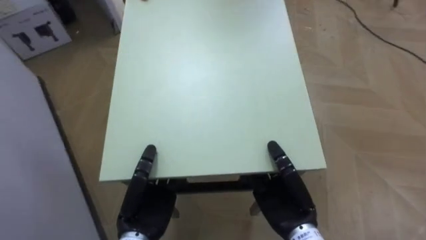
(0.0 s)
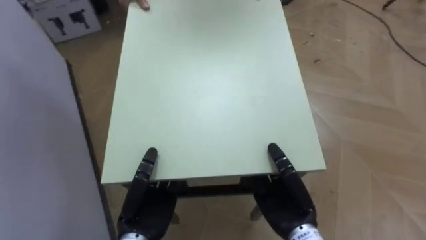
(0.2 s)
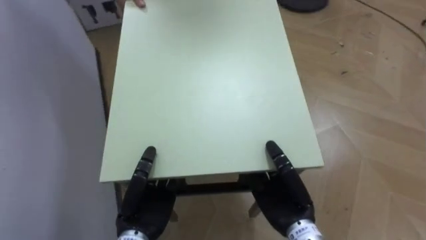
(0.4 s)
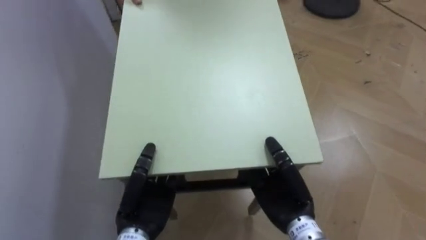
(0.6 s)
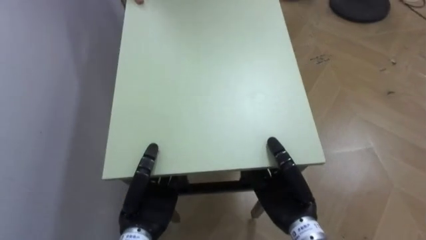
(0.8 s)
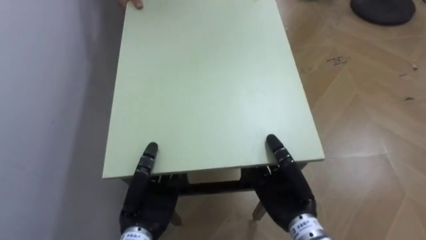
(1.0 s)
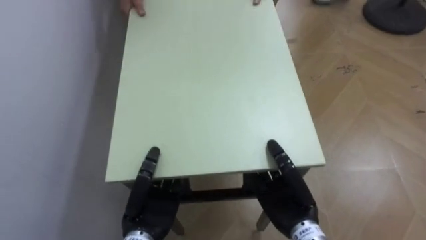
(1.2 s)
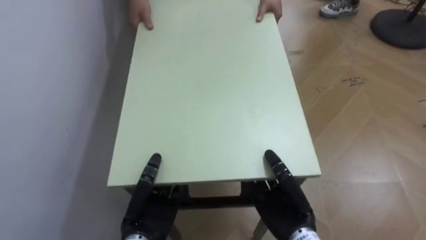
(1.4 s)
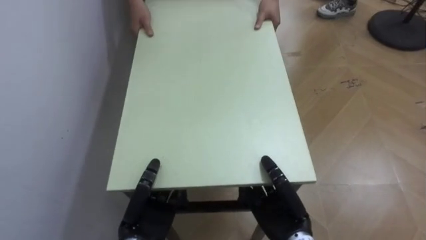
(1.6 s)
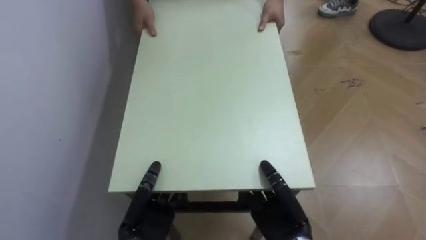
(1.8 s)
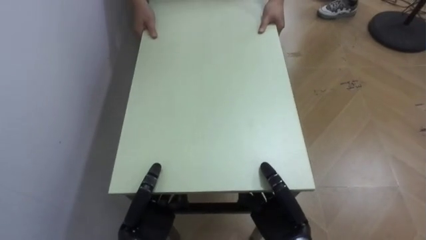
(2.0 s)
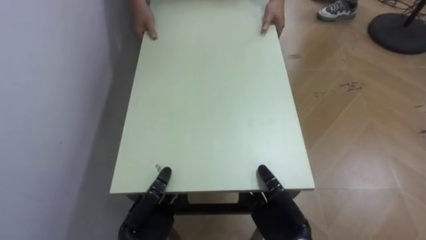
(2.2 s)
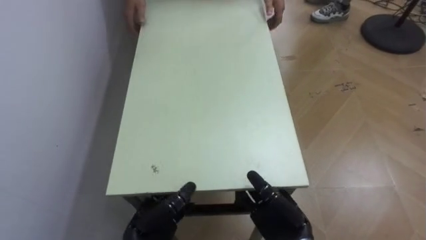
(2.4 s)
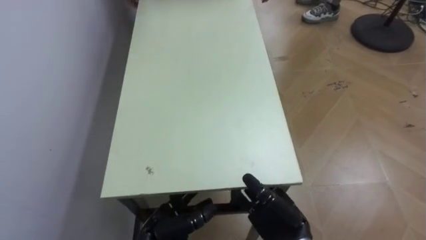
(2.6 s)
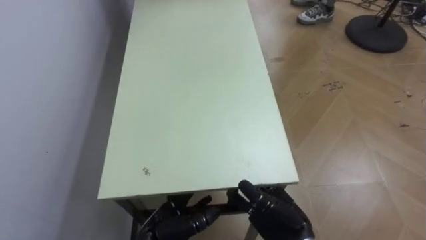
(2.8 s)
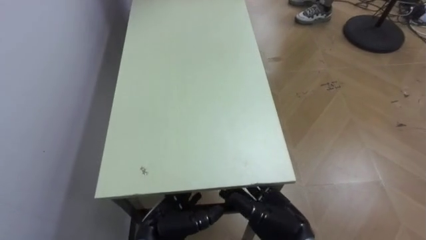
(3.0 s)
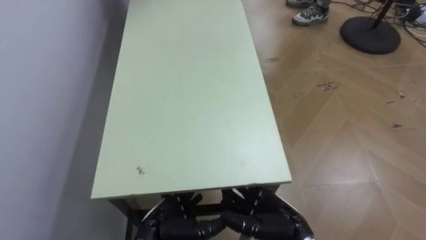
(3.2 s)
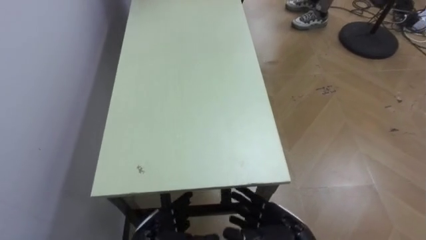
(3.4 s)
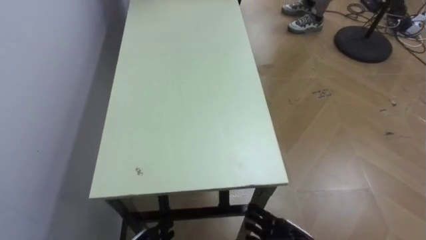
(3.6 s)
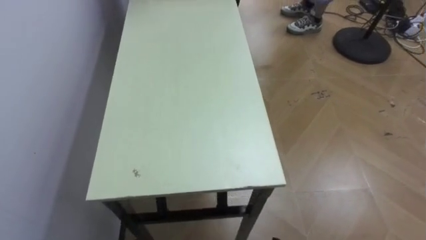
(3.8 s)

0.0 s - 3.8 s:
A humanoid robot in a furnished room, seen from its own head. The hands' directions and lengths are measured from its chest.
Task of the whole recording: Move the table to the back left with someone.
0.0 s - 1.2 s: The robot rotates roughly 35 degrees to its left.
1.2 s - 2.6 s: The left hand moves downward, about 5 cm, and opens. The right hand changes place by about 5 cm.

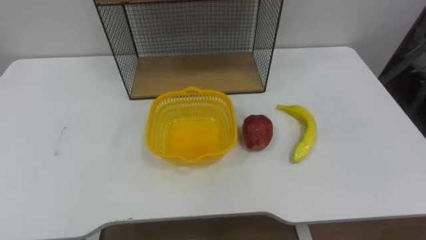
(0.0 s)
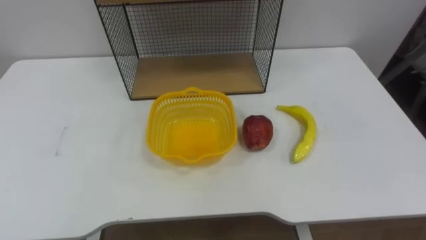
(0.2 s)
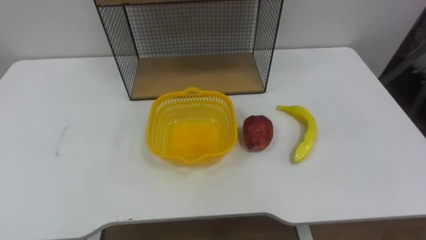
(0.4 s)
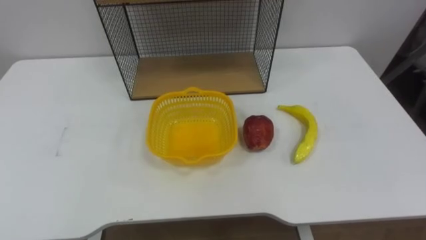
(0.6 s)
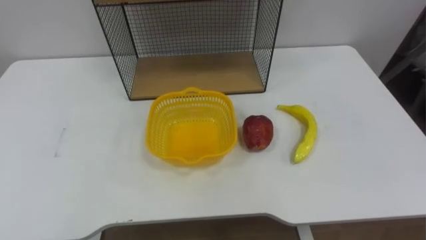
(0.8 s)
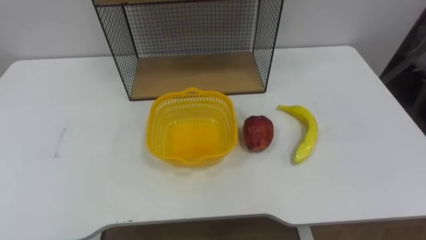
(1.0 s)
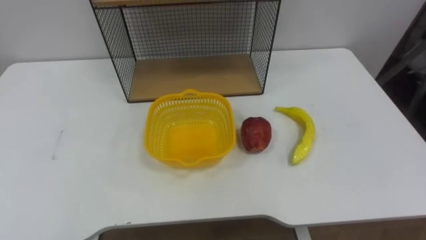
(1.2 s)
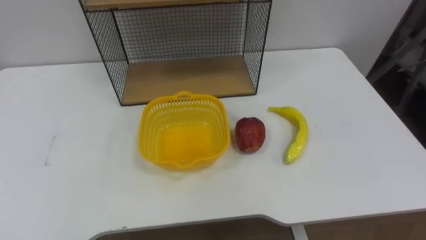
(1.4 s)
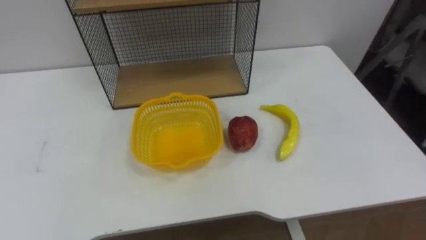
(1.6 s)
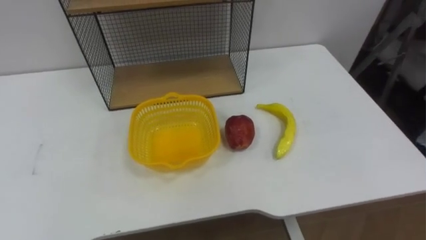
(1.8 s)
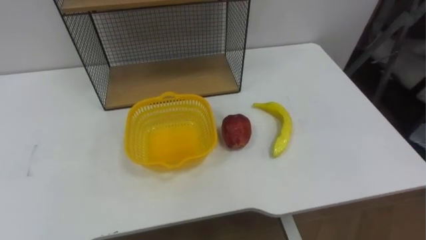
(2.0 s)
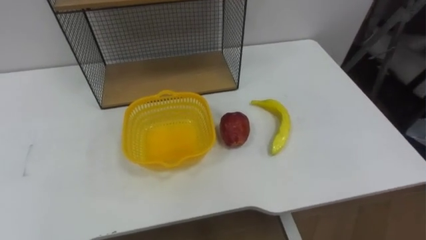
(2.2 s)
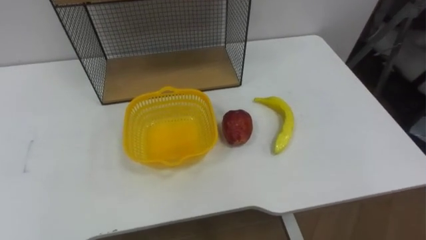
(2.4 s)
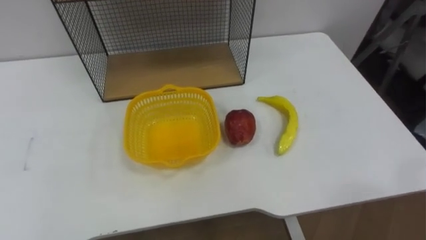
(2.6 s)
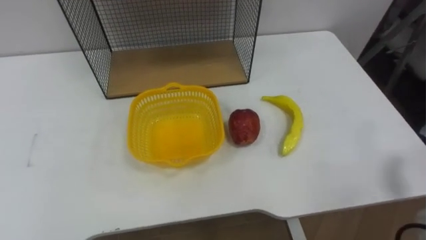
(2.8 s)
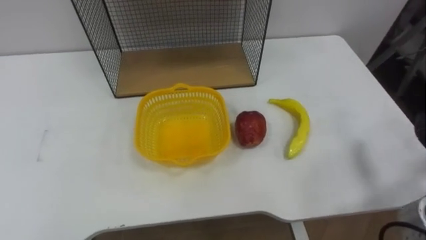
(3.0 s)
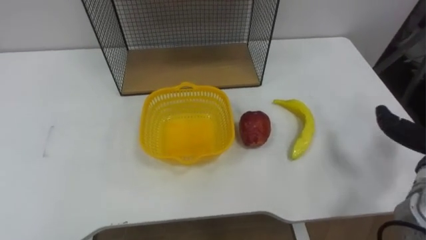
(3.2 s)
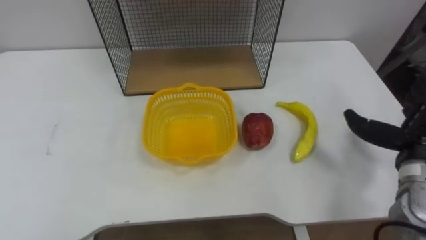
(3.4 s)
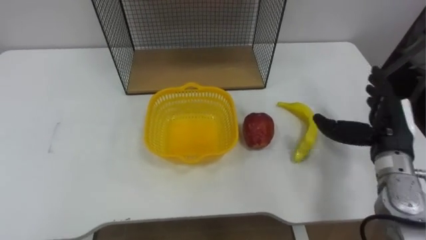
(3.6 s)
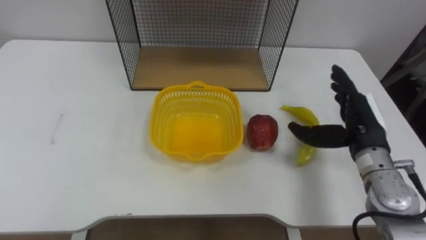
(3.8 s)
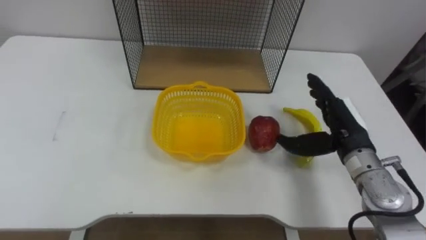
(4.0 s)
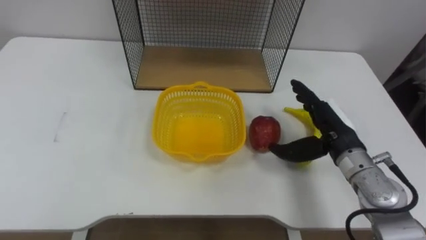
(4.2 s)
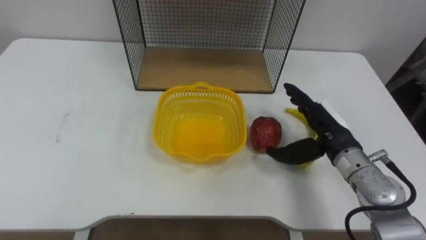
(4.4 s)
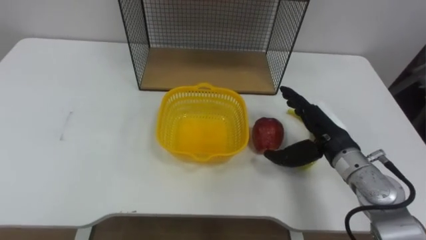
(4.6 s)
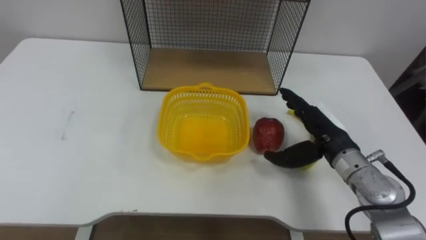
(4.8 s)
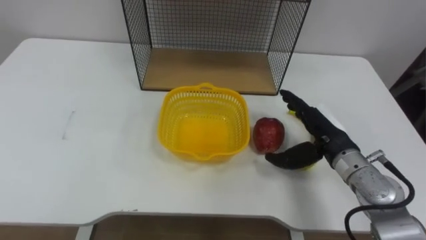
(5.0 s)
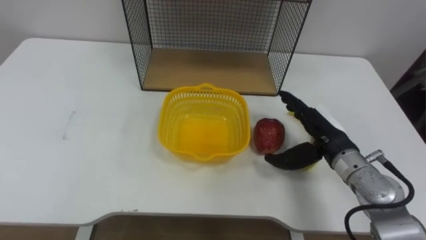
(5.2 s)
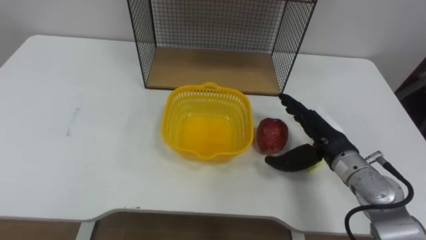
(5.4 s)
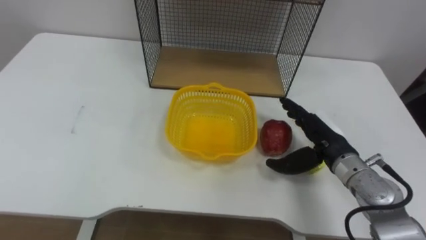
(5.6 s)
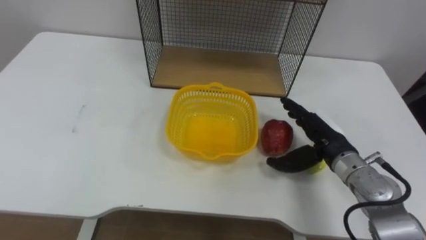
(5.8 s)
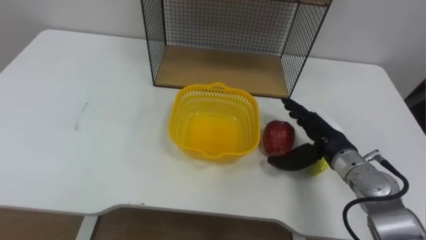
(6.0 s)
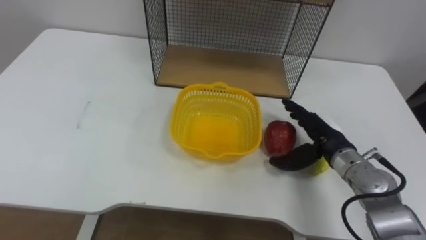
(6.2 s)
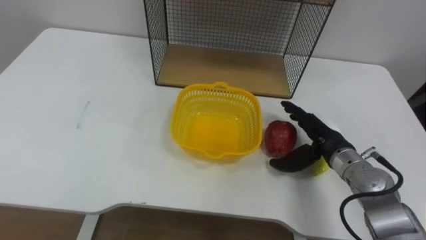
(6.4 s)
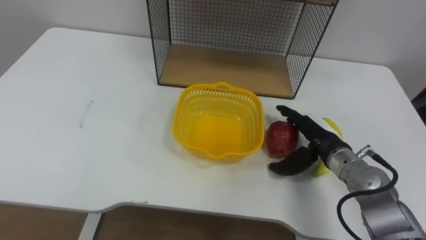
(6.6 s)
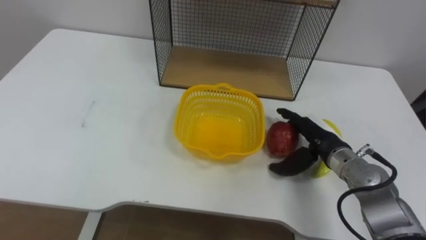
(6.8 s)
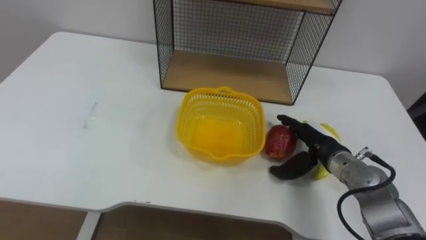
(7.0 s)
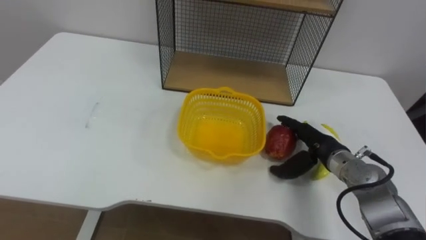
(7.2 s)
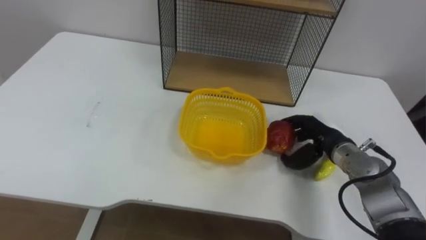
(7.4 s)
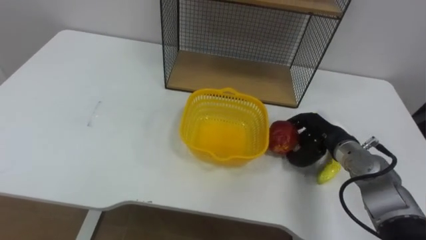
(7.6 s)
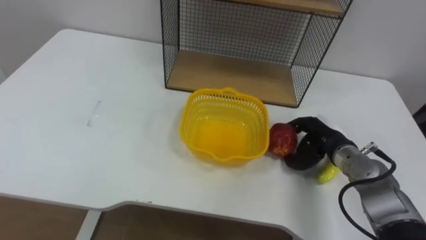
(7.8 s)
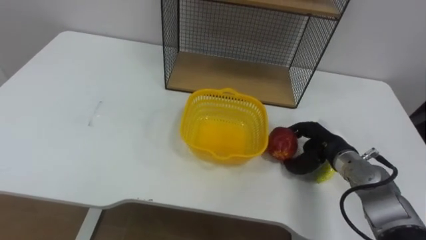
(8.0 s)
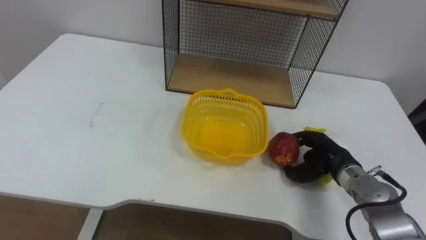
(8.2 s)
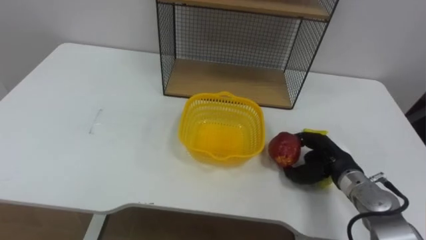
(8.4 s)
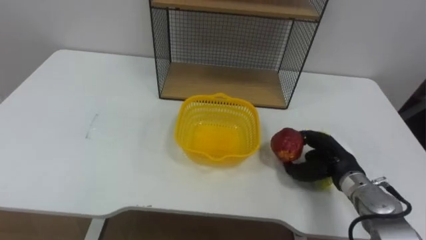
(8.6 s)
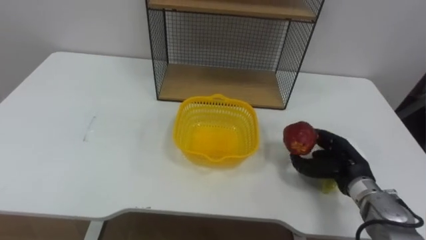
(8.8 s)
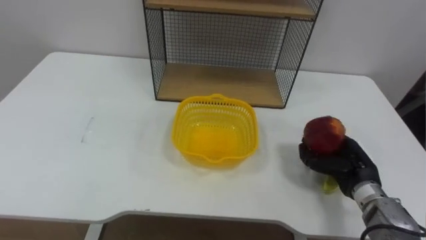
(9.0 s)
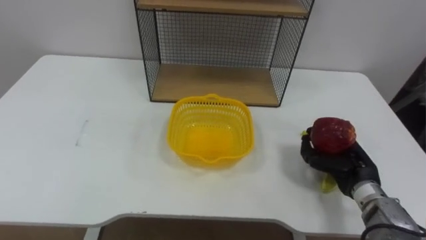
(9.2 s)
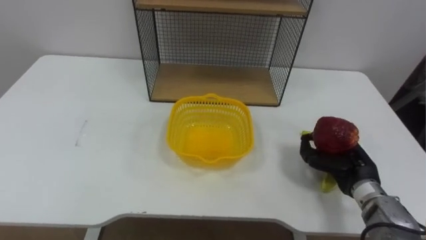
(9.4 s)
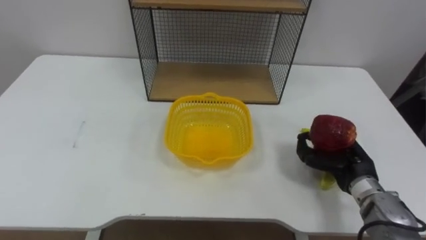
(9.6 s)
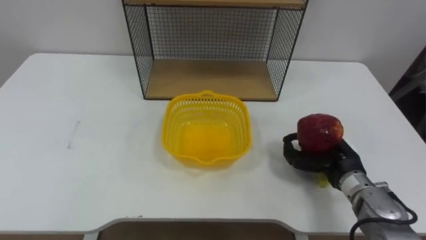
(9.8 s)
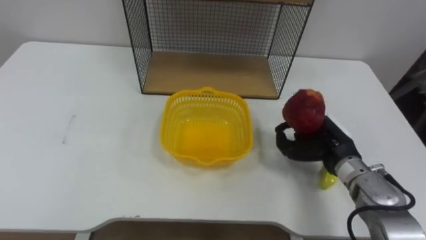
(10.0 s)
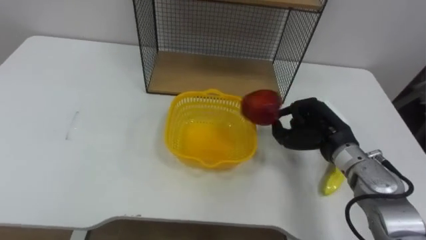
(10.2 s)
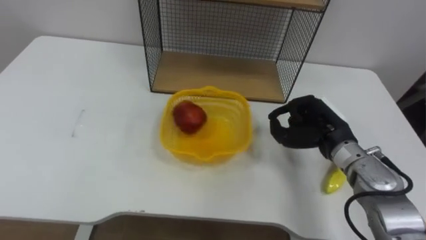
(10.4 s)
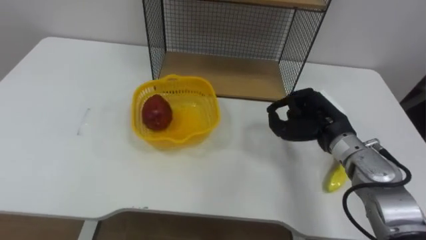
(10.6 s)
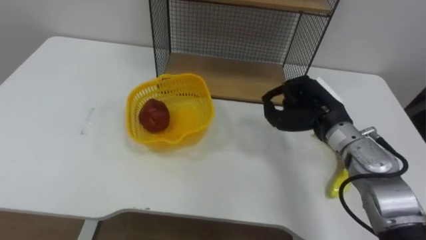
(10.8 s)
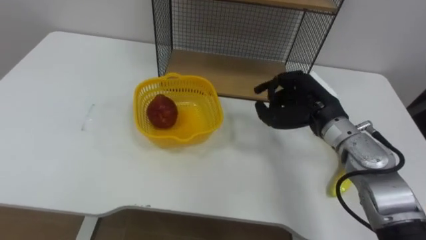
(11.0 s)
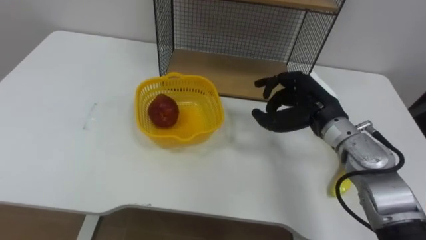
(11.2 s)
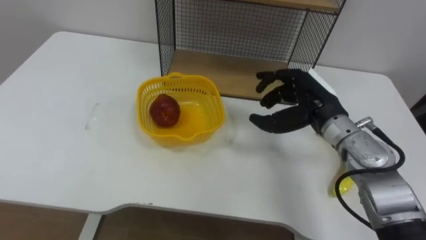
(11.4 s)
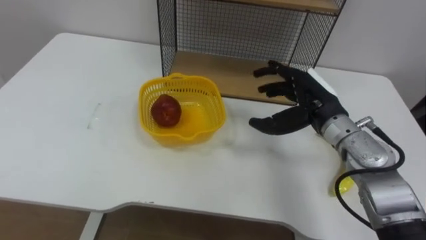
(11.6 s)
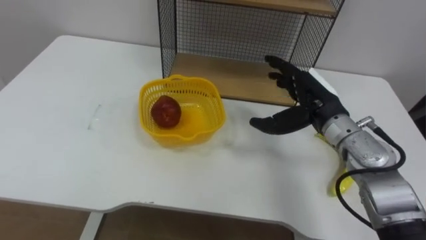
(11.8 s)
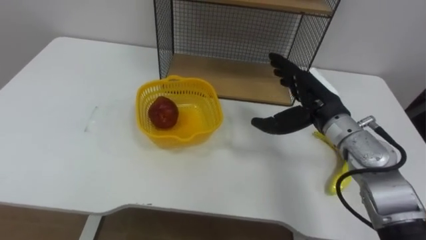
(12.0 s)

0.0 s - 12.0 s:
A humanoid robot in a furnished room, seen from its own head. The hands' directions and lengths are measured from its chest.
Task of the whole recording: Put the fruit on the table into the basket, then place the basket on the shelf.
6.0 s - 7.6 s: The right hand closes.
7.6 s - 9.0 s: The right hand travels backward by some 5 cm.
9.0 s - 10.4 s: The right hand goes some 10 cm upward and to the left.
10.4 s - 12.0 s: The right hand ends up about 5 cm from where it was, and opens its fingers.

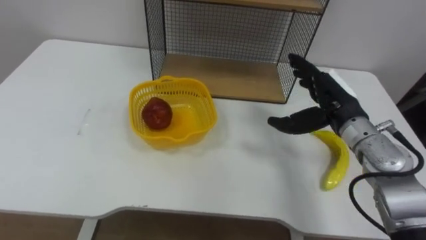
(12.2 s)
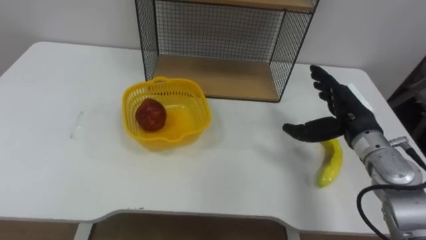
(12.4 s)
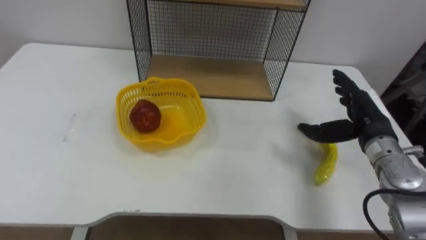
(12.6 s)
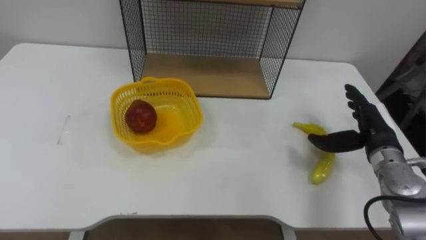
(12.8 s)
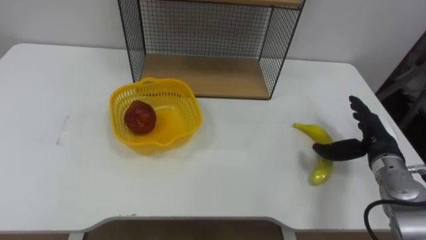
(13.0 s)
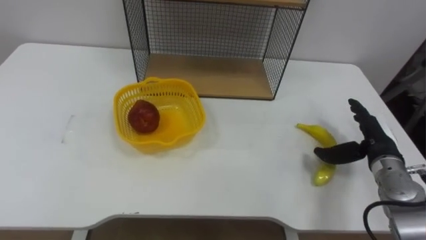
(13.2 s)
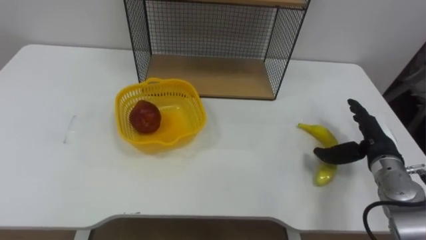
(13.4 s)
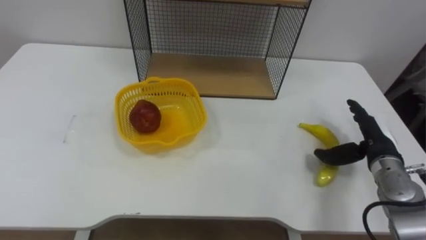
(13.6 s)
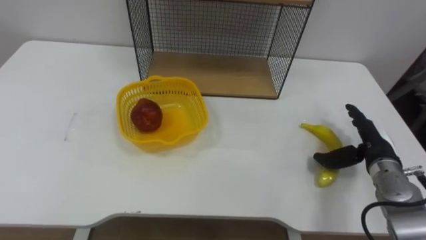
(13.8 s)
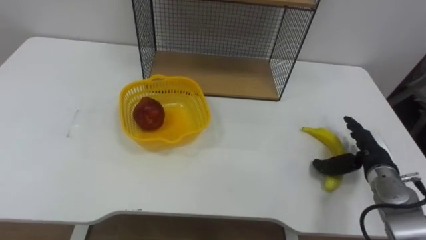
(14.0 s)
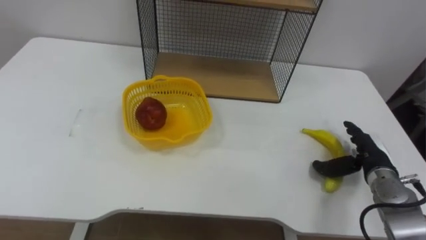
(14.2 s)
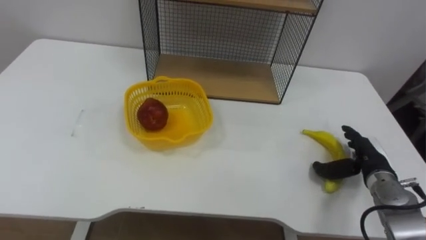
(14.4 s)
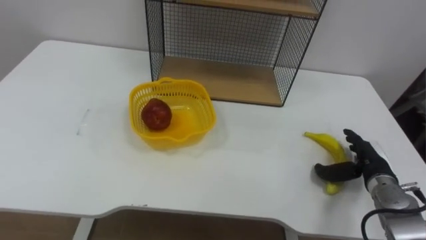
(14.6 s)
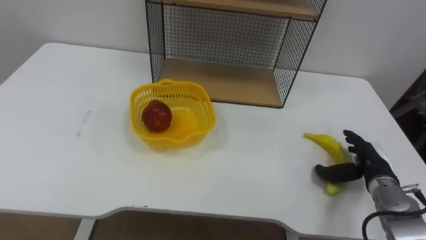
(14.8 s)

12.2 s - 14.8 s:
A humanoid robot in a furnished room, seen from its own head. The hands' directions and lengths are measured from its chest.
Task of the whole recording: Put the fruit on the table into the basket, then place the basket on the shelf.
12.2 s - 13.4 s: The right hand moves to the right and downward, approximately 15 cm.
13.4 s - 14.8 s: The right hand is displaced downward by about 5 cm.
